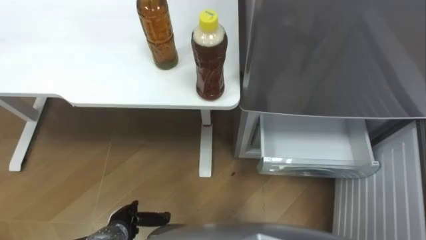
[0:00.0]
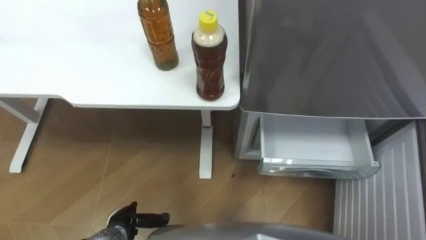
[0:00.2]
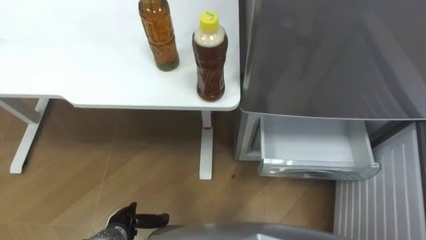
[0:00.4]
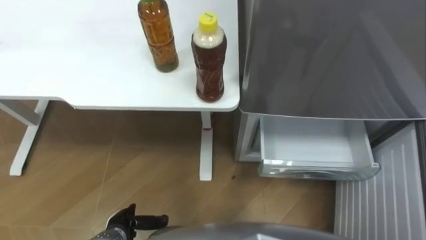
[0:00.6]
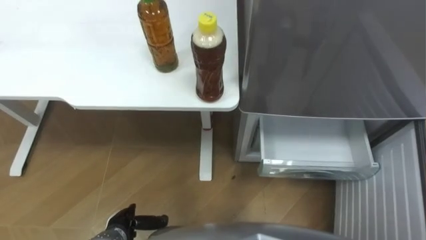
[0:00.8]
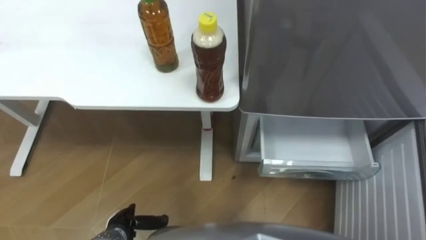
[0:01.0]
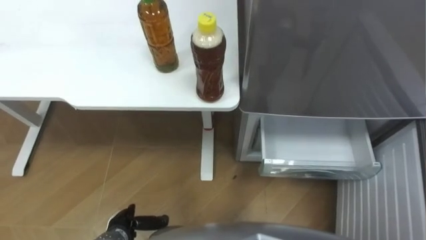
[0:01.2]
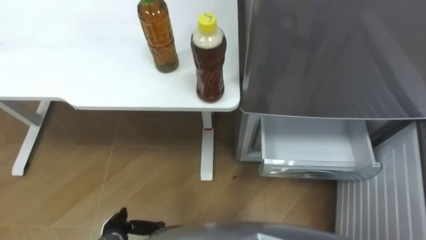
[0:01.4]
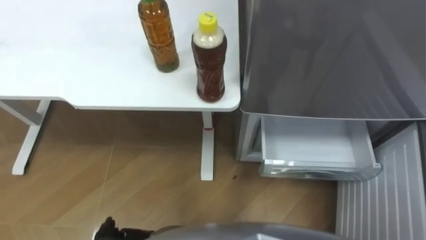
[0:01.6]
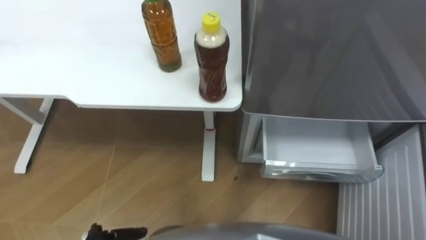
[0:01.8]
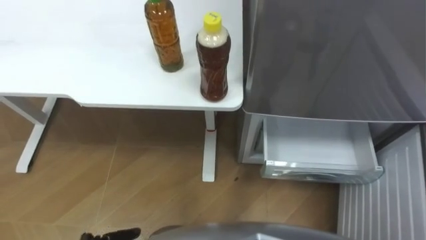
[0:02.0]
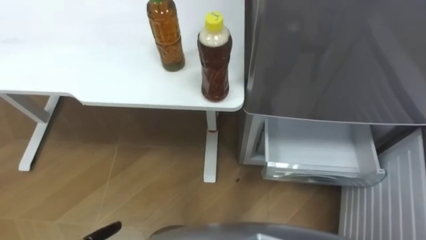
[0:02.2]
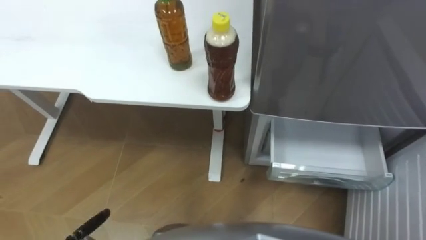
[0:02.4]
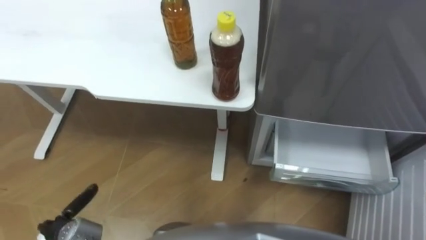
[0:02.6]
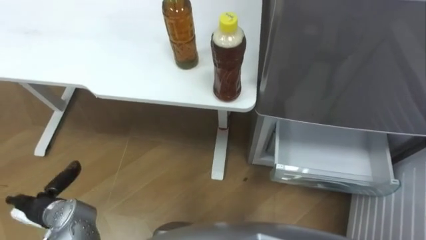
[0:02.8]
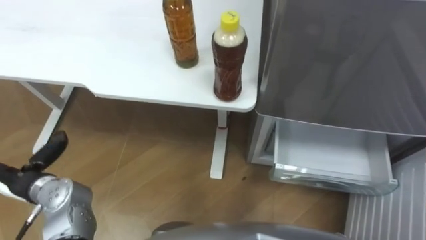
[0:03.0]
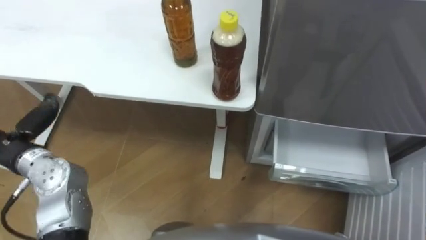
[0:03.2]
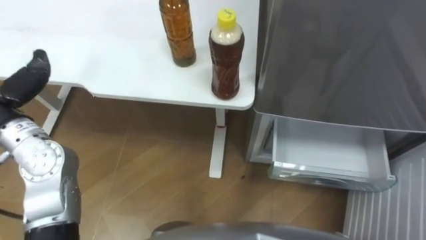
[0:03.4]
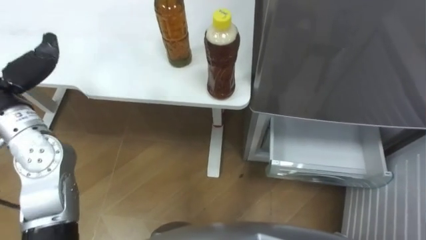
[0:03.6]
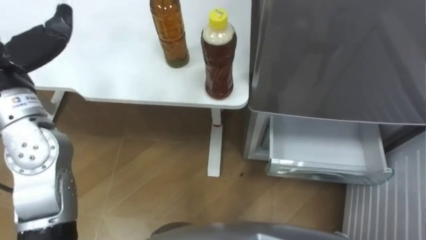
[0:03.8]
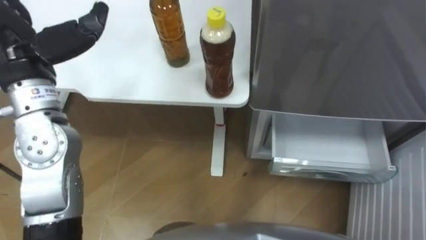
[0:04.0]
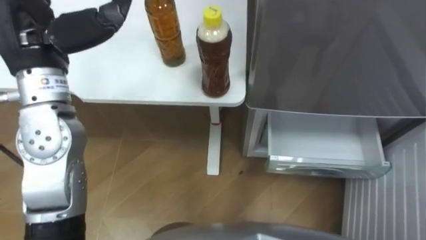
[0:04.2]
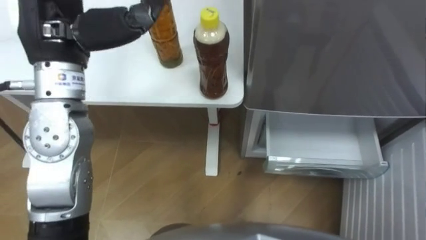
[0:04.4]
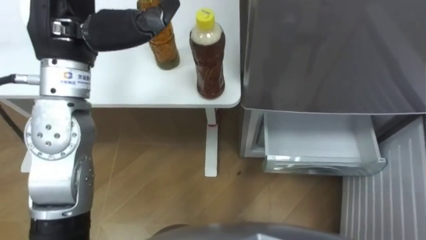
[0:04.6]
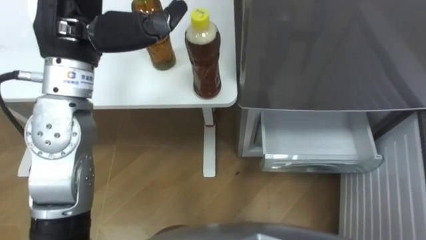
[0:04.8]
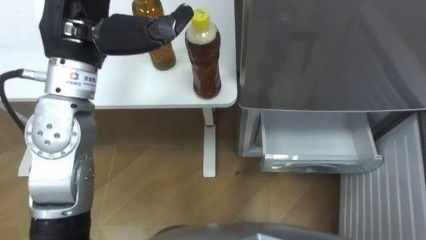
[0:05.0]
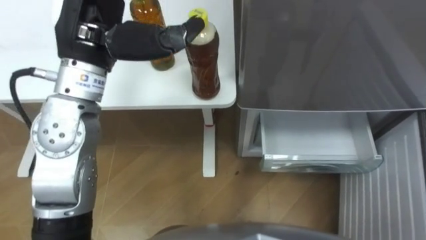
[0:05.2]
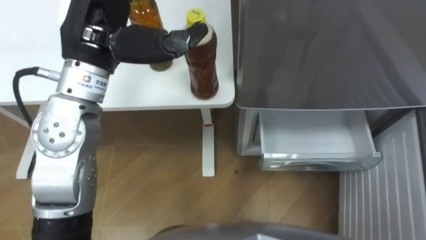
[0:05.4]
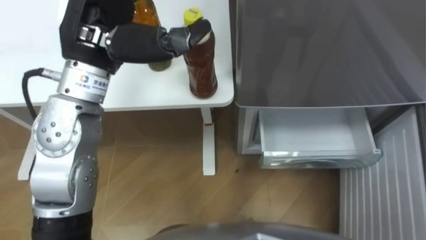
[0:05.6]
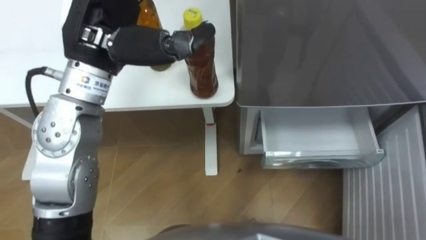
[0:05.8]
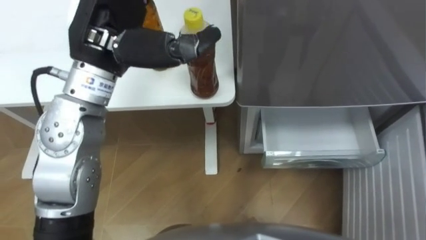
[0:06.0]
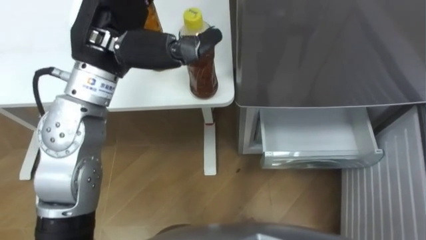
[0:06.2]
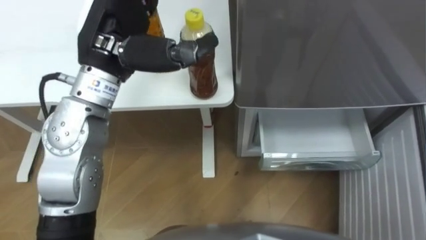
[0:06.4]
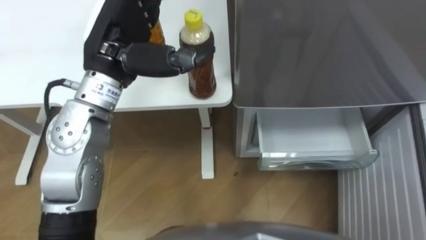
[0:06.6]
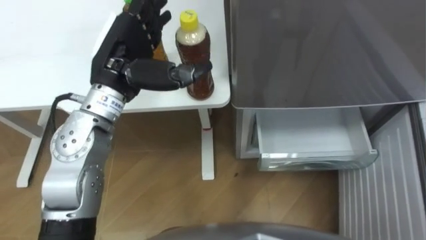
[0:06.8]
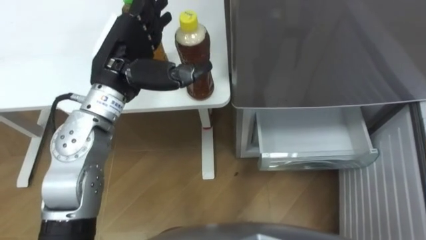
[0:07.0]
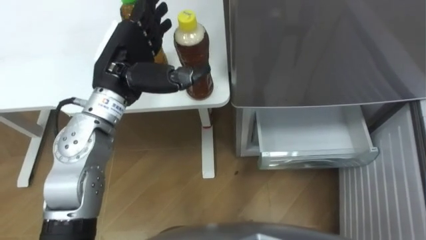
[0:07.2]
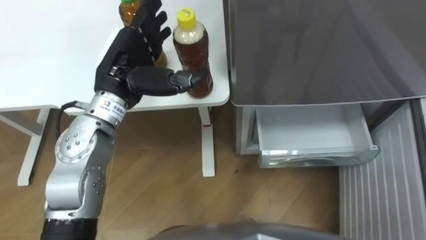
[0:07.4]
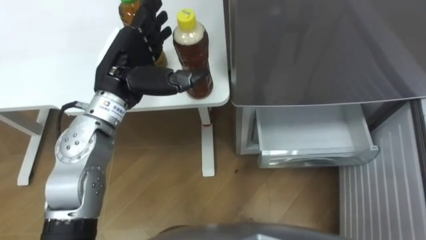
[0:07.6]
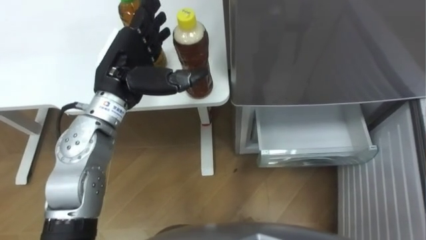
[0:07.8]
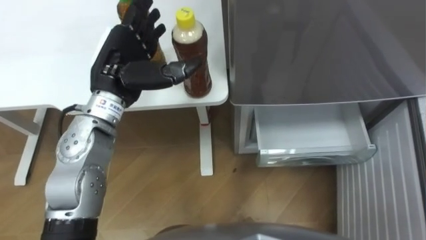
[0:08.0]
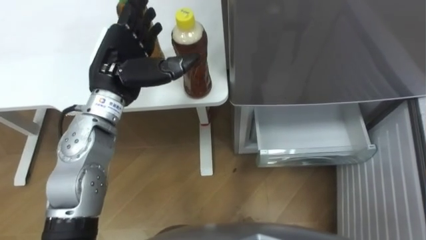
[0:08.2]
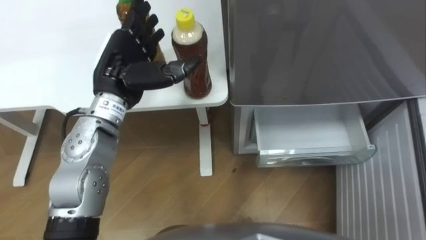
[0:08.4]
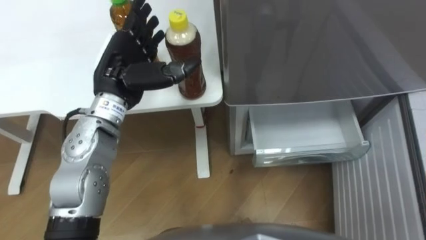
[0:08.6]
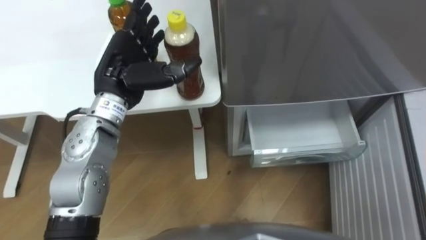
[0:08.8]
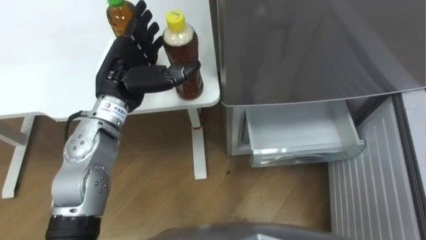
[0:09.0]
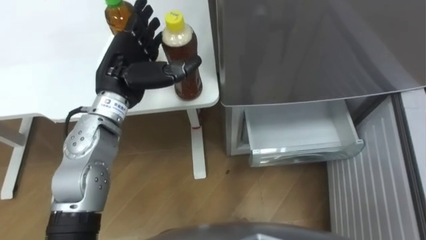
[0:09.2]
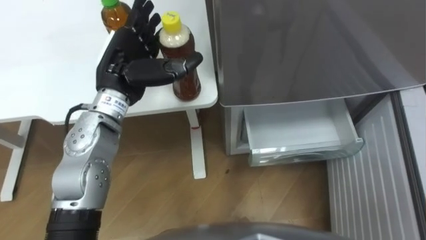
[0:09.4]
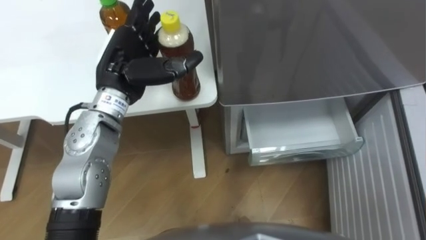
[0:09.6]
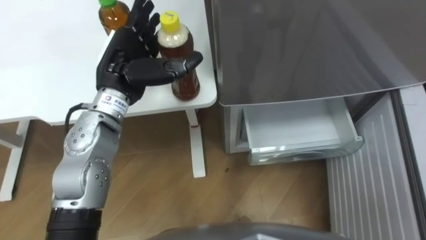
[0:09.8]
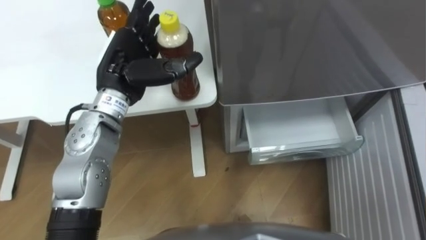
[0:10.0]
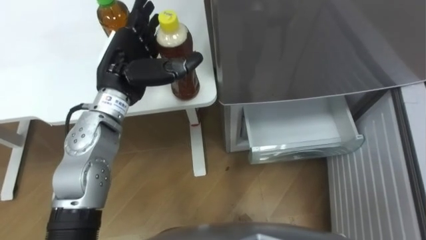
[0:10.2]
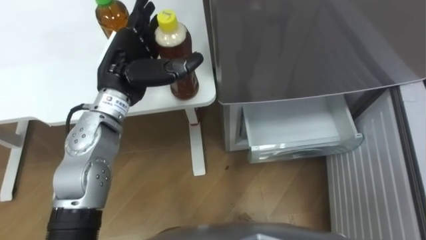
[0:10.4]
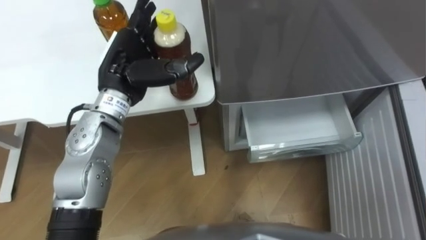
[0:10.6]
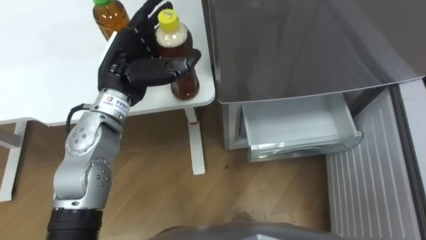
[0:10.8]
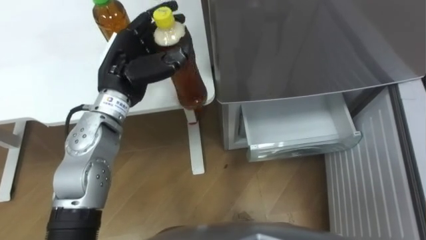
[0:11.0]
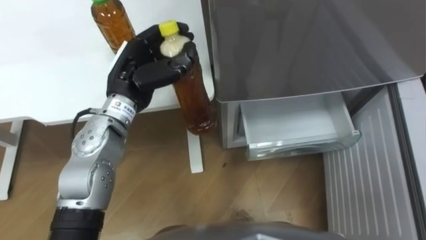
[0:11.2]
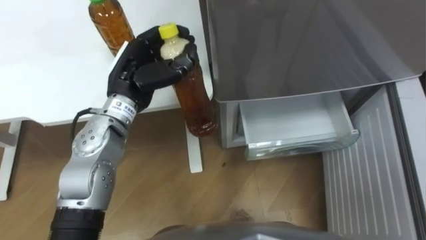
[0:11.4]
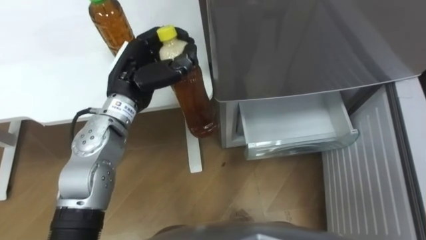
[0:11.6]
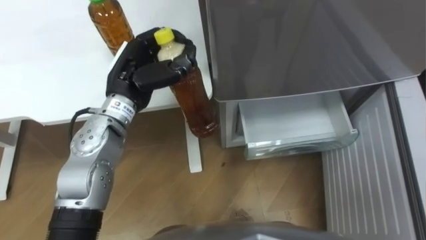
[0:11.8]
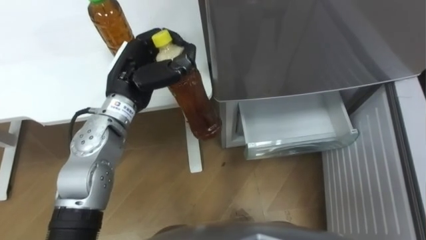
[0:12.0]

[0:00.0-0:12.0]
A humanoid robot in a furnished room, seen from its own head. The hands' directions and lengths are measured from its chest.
Task of the whole recording: Place the drink on the table on the bottom shelf of the refrigerator, then close the drawer and the refrigerator door.
0:04.4 to 0:06.0: The left hand travels to the right by about 5 cm.
0:06.0 to 0:07.6: The left hand shifts approximately 10 cm downward.
0:10.4 to 0:12.0: The left hand closes its fingers.

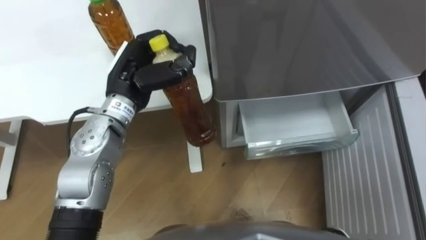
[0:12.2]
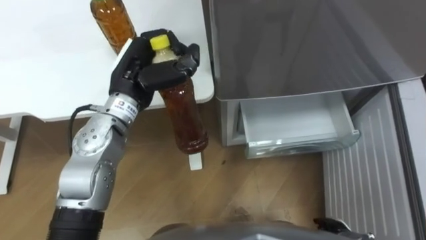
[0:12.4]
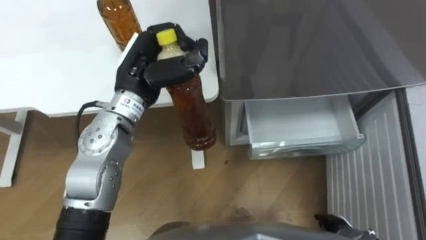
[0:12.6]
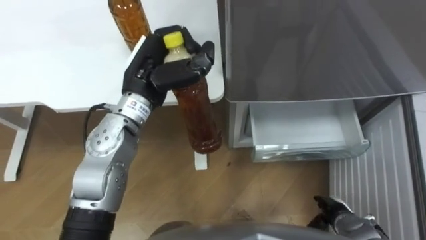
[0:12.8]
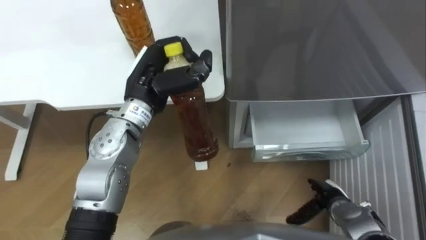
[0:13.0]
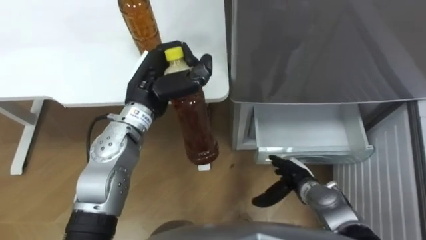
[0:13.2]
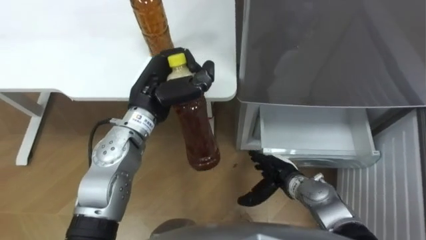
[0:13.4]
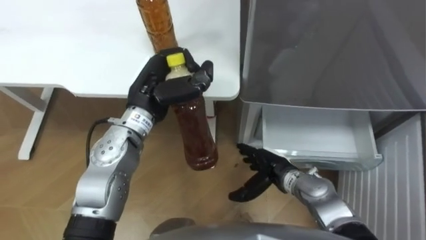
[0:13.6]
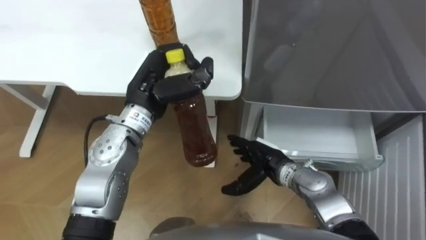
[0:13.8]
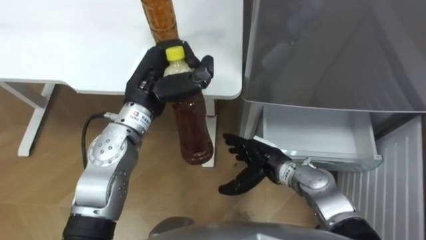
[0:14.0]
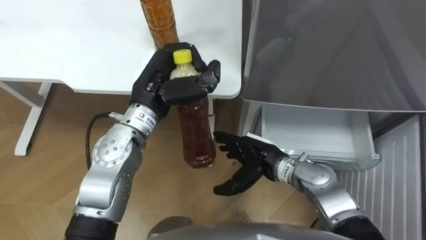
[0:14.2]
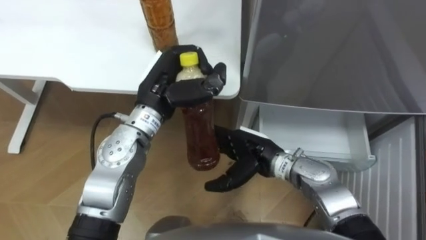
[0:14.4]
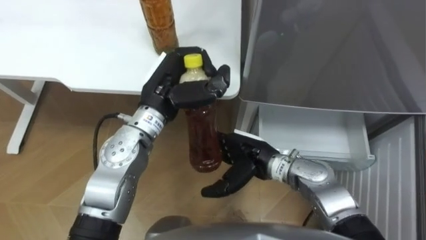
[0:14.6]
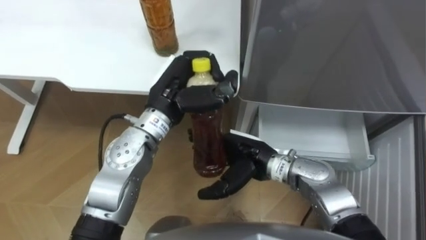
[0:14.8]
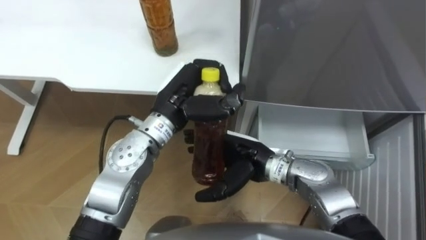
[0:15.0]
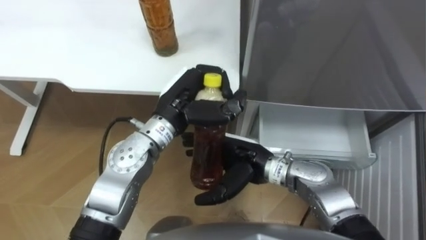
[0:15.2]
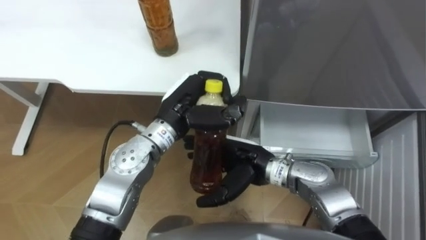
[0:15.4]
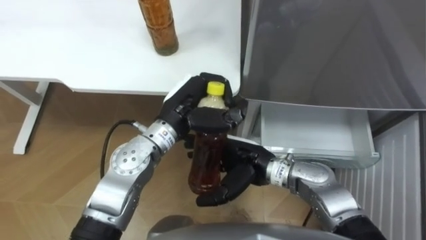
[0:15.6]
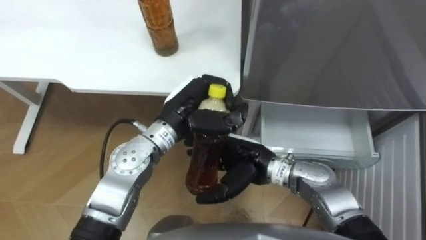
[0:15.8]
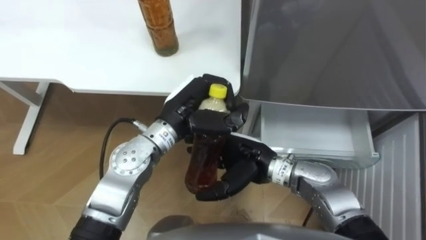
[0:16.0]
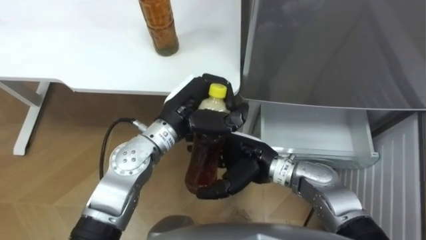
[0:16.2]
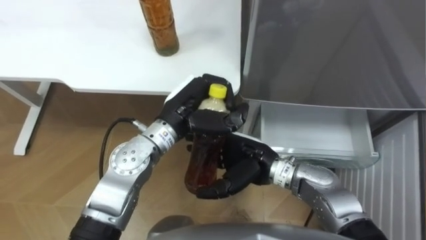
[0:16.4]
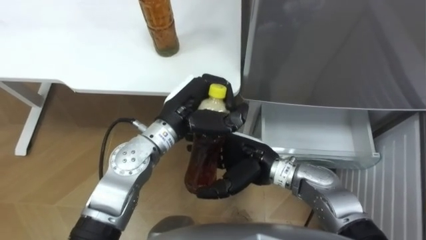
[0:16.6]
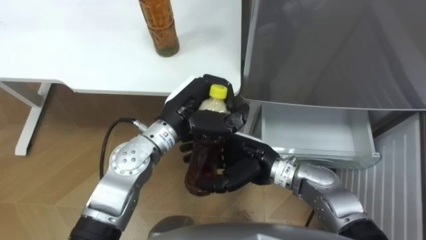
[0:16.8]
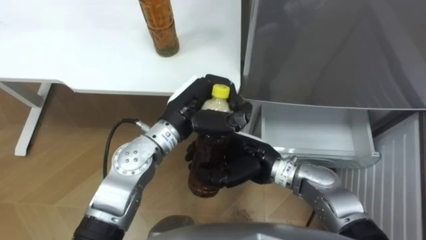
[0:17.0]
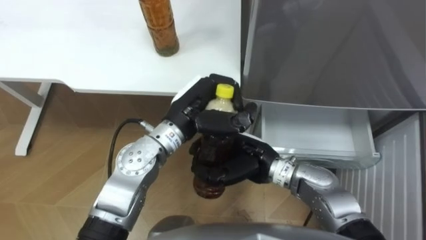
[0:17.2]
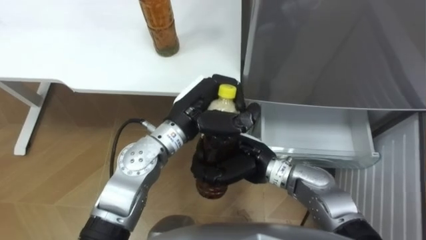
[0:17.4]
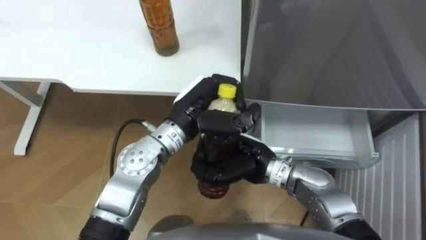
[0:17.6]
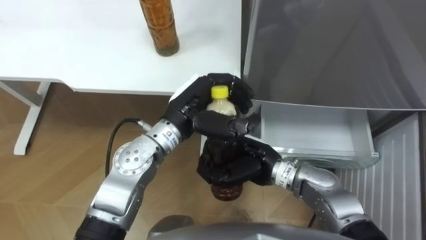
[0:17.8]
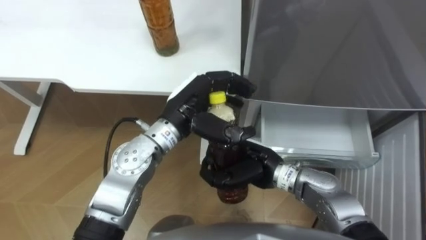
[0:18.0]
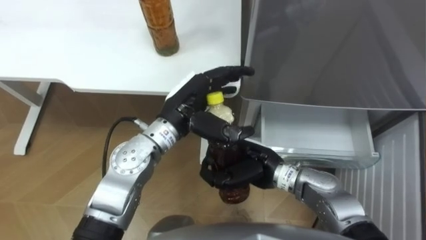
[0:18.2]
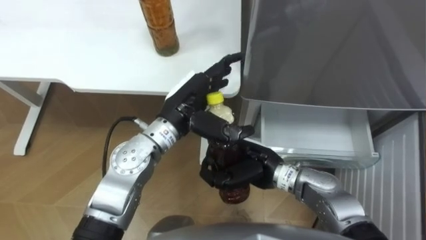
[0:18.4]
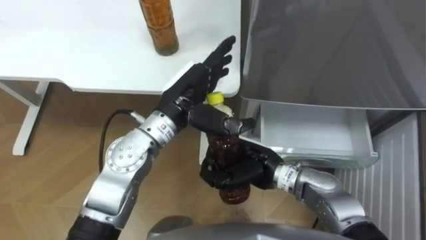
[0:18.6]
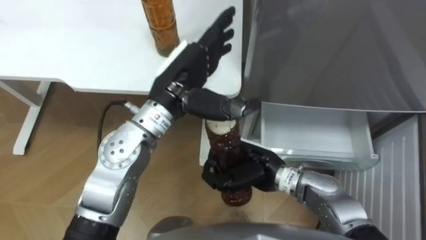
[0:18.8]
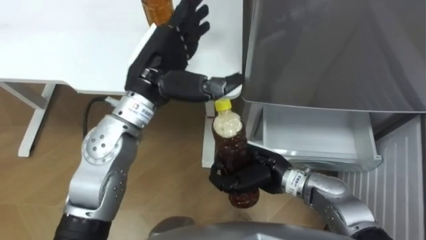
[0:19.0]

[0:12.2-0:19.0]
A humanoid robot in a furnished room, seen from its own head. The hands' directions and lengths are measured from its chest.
Task of the whole recording: Place the drink on the table on the bottom shelf of the refrigerator, then close the drawer and the refrigerator door.
0:13.6 to 0:15.0: The left hand moves roughly 5 cm, while the right hand shifts about 10 cm upward and to the left.
0:15.0 to 0:16.2: The hands move only a little.
0:16.2 to 0:17.6: The right hand closes.
0:17.6 to 0:19.0: The left hand is displaced upward and to the left by roughly 10 cm, and opens its fingers.
